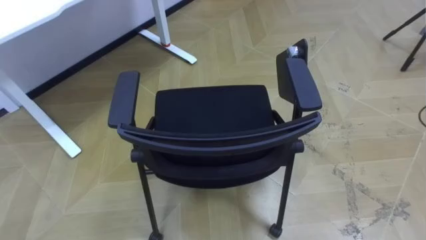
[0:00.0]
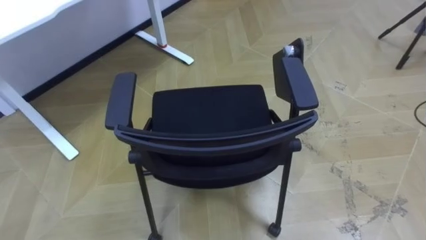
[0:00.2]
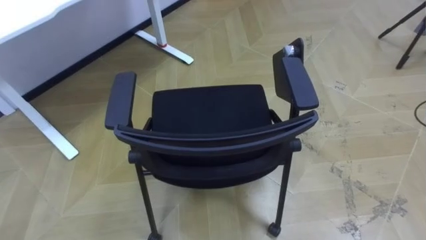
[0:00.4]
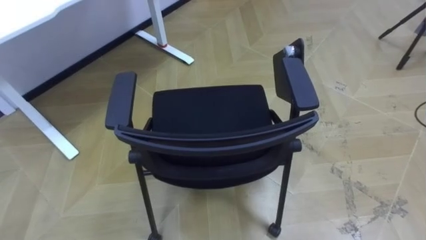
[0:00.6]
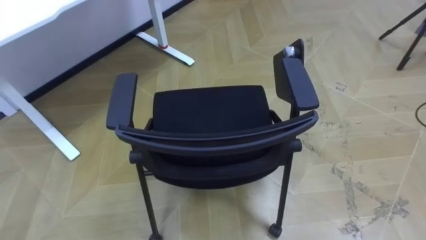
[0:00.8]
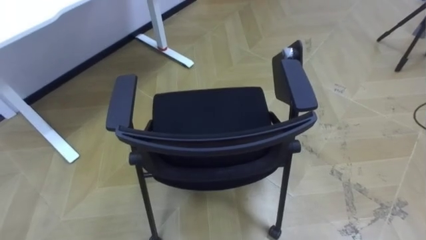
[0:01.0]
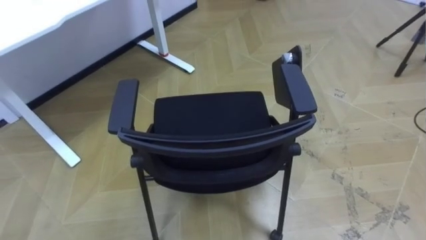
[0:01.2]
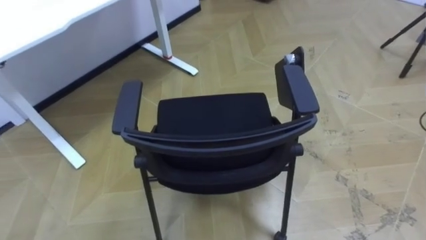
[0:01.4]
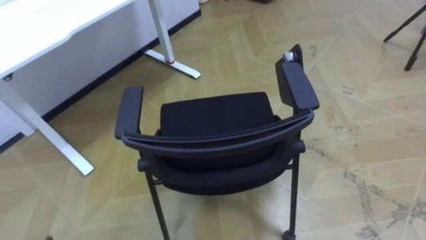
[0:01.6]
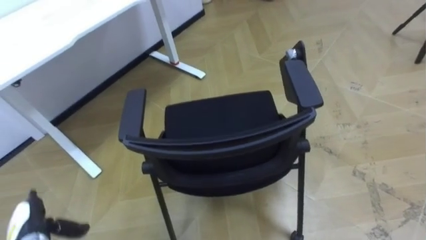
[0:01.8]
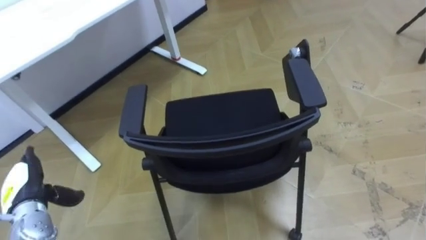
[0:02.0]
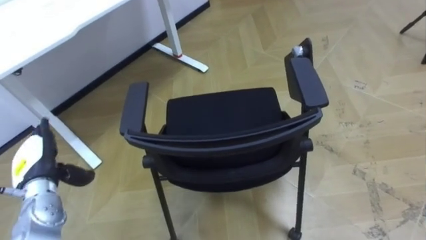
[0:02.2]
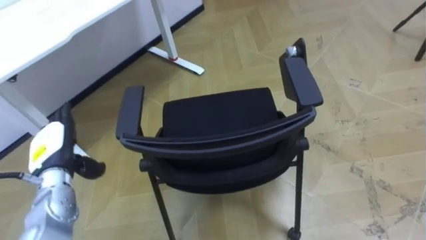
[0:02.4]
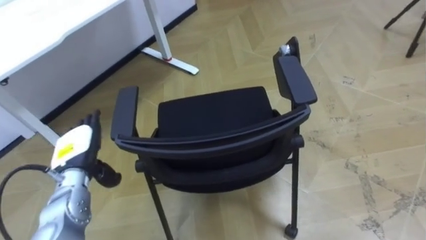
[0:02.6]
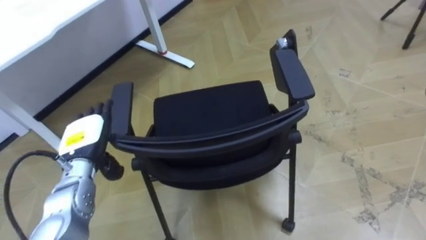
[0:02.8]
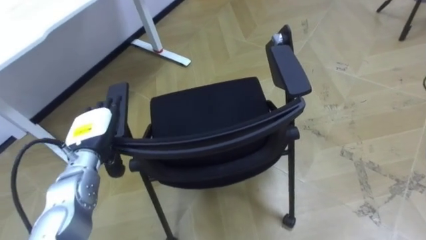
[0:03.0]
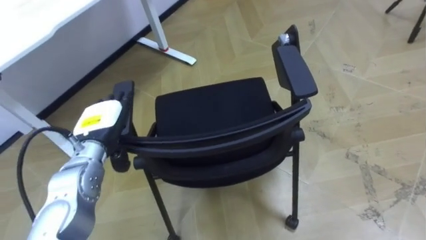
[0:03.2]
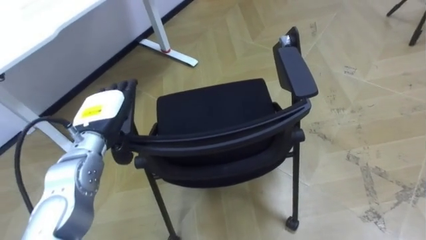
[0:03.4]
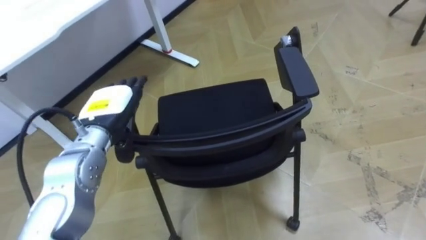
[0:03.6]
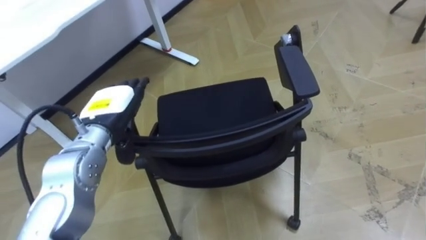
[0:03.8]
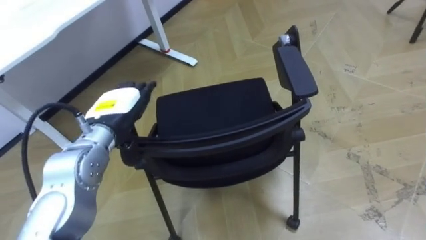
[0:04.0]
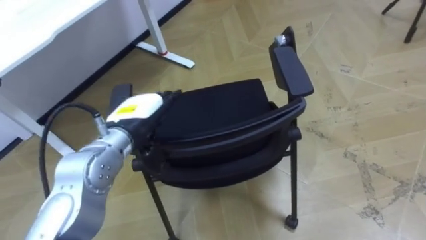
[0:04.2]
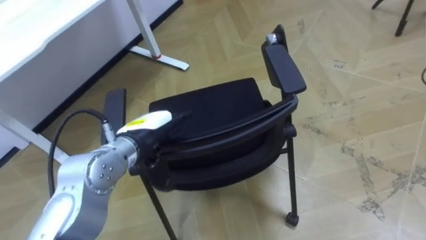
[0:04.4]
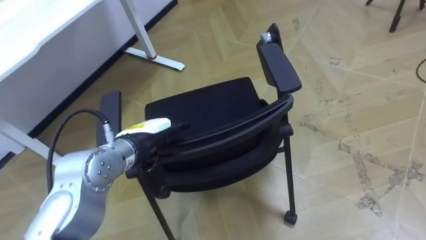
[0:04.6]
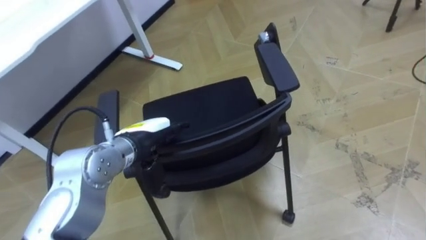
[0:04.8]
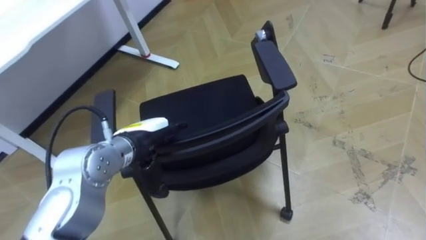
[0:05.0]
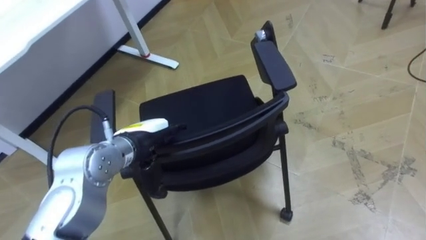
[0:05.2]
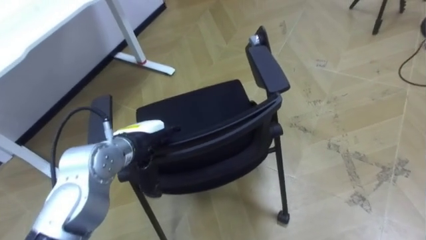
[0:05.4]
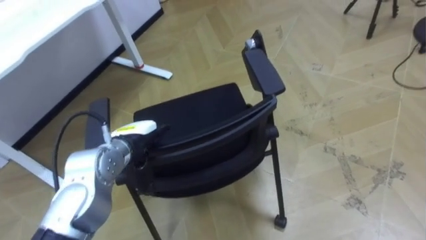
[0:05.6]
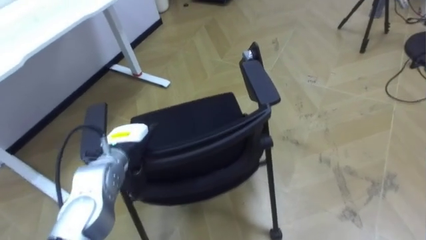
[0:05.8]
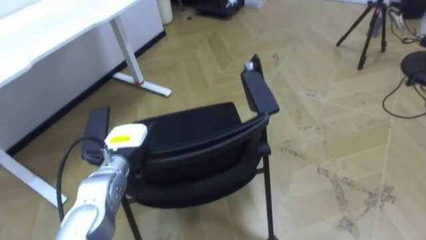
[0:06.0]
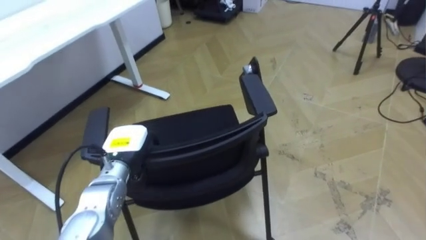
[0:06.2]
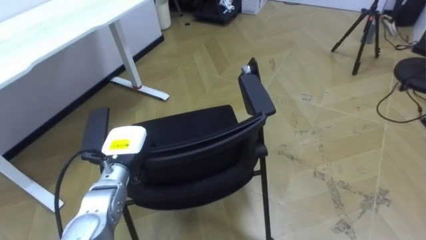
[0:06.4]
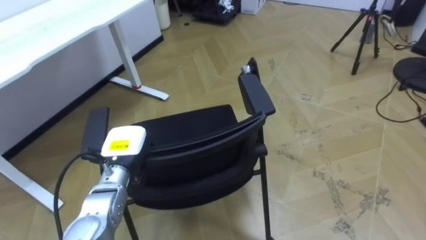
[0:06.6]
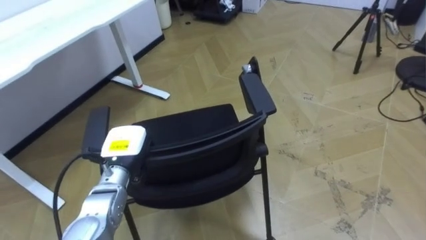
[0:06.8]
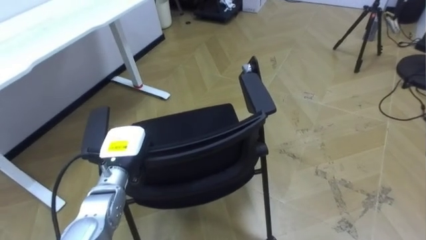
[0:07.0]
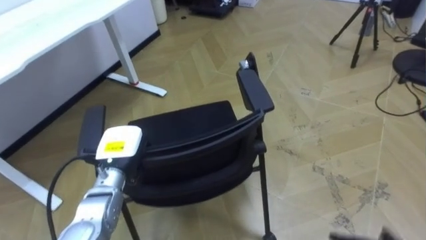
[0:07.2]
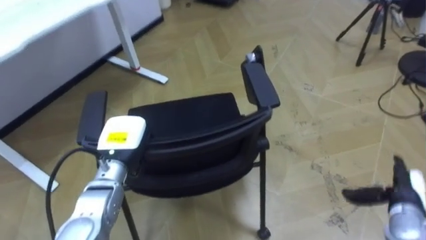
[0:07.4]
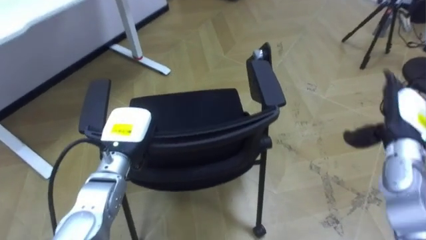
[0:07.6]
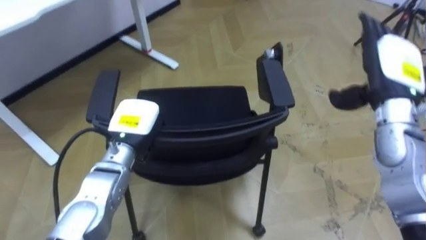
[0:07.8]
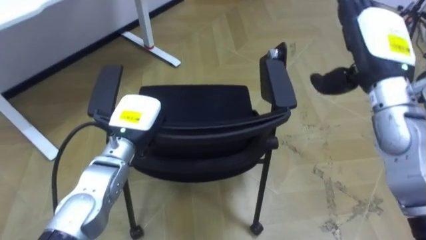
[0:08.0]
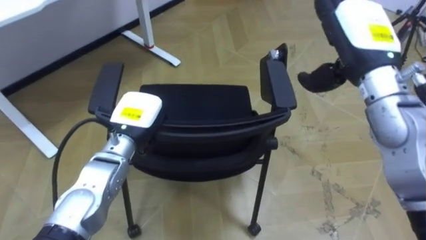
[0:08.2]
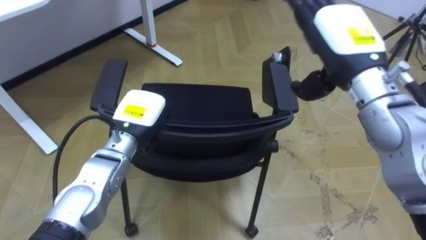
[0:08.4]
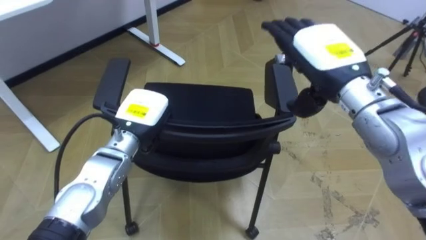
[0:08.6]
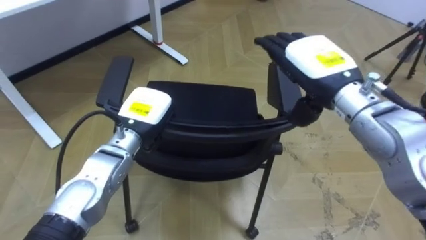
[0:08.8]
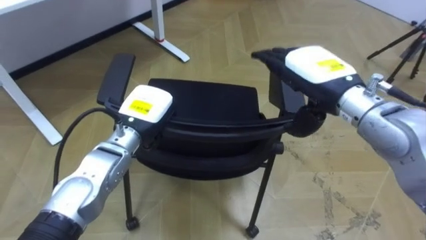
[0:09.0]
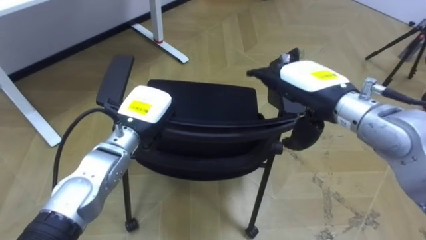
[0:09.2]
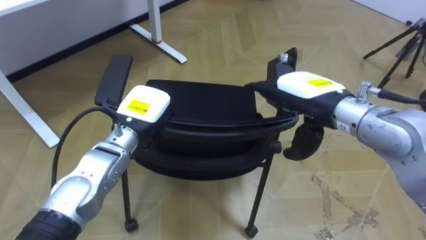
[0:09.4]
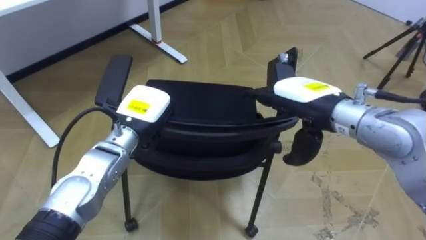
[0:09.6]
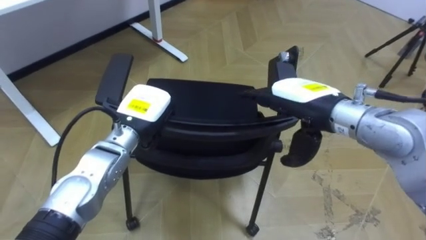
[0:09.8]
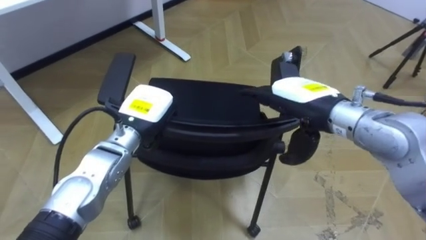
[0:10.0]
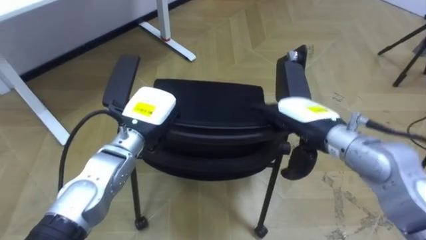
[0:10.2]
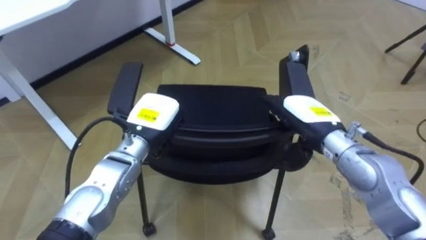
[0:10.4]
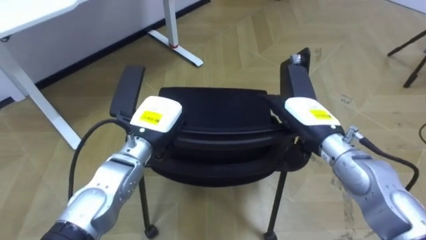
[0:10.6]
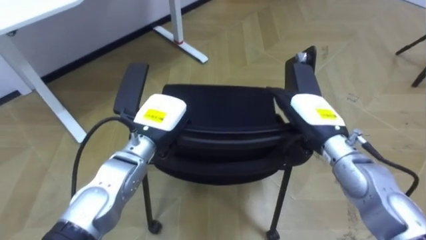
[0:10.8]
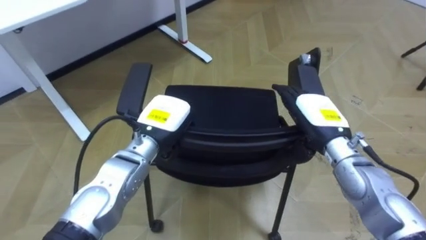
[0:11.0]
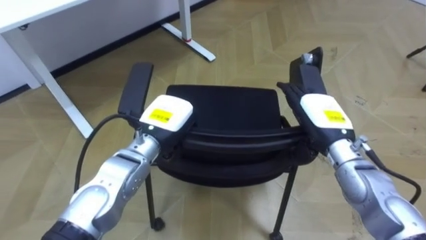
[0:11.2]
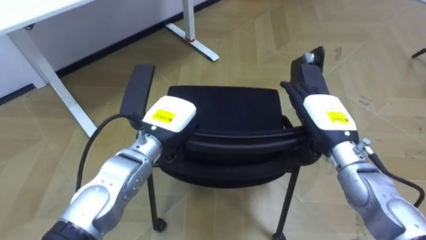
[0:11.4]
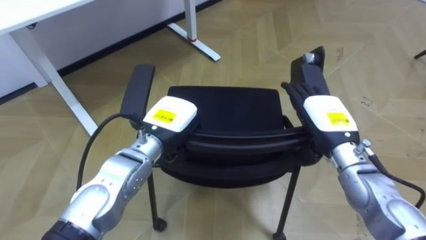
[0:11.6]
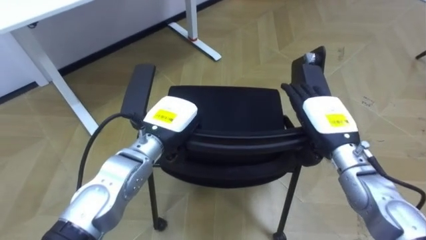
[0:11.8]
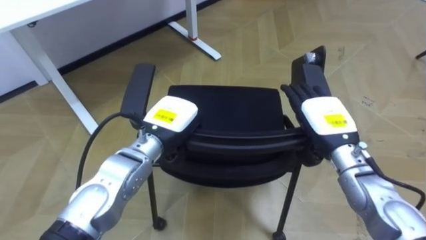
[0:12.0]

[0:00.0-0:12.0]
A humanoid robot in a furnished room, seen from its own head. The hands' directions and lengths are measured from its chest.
Task of the whole recording: Push the chair under the table.
0:03.0 to 0:04.4: The left hand moves to the right, approximately 10 cm.
0:04.4 to 0:06.0: The left hand is displaced downward and to the left by some 10 cm.
0:06.0 to 0:07.6: The left hand closes.
0:07.6 to 0:09.0: The left hand moves about 5 cm; the right hand moves to the left and upward, some 20 cm.
0:09.0 to 0:10.4: The right hand heads downward, covering approximately 10 cm.

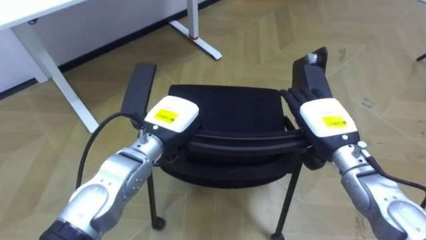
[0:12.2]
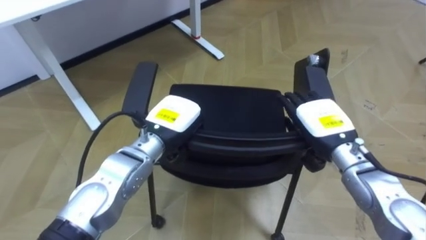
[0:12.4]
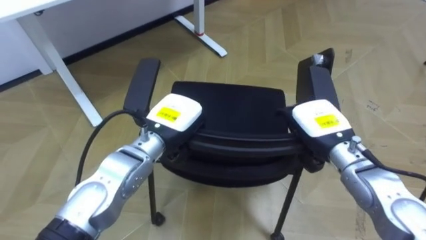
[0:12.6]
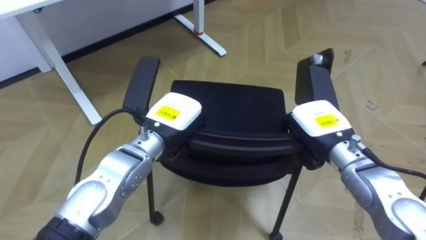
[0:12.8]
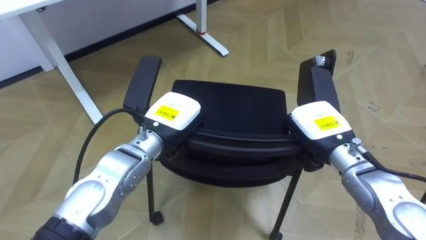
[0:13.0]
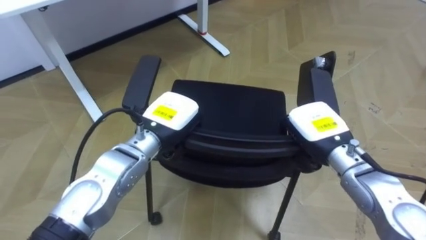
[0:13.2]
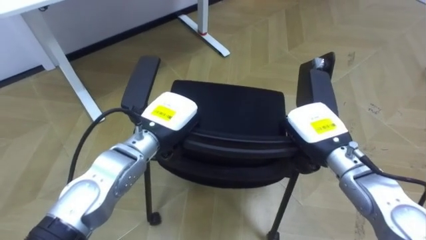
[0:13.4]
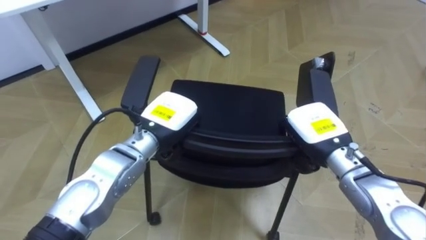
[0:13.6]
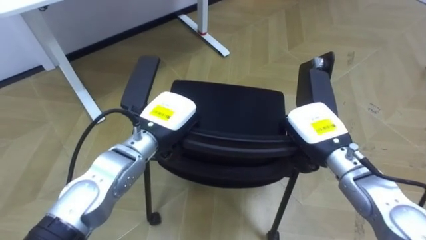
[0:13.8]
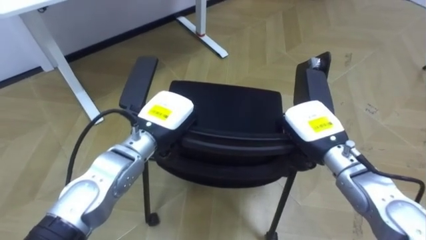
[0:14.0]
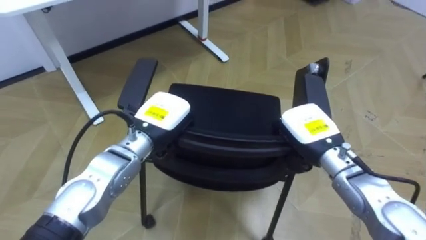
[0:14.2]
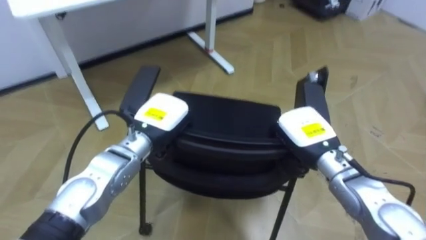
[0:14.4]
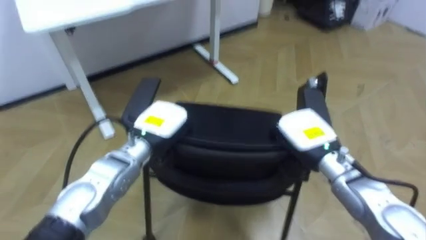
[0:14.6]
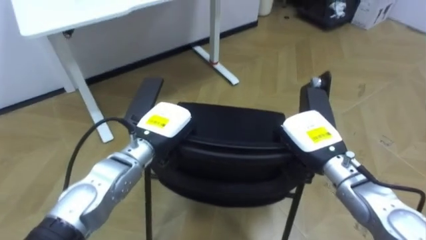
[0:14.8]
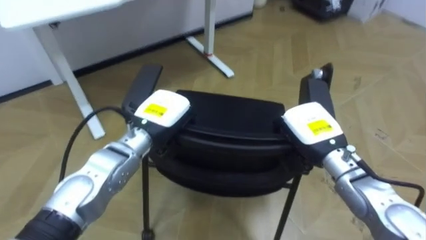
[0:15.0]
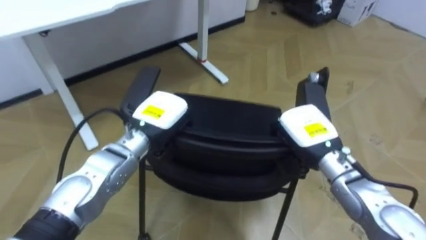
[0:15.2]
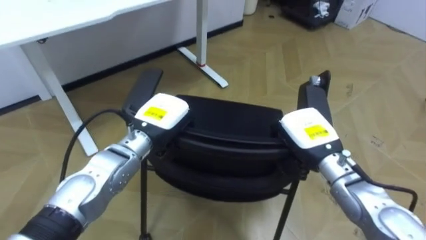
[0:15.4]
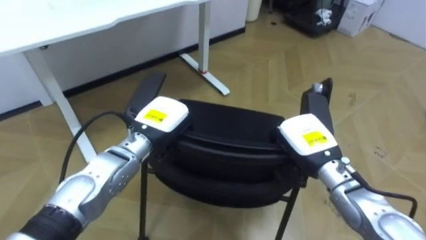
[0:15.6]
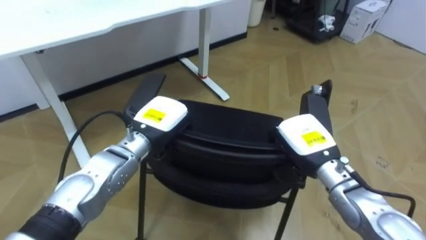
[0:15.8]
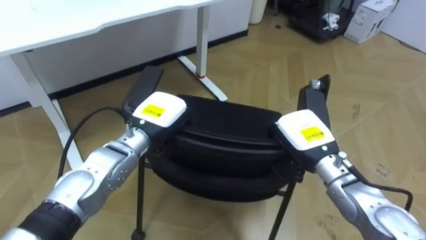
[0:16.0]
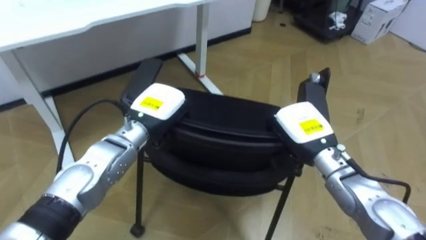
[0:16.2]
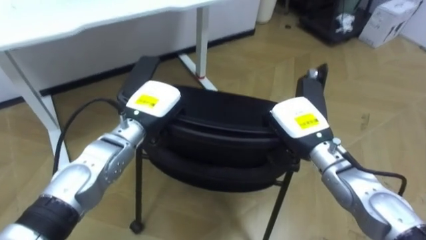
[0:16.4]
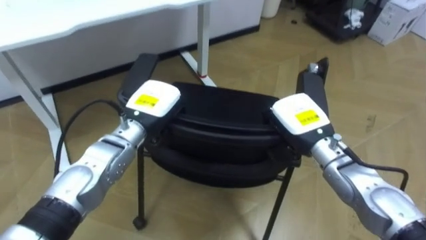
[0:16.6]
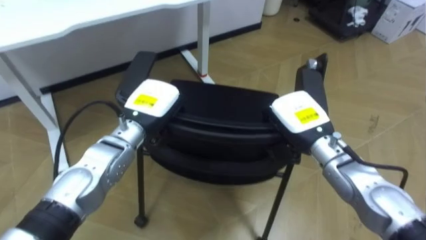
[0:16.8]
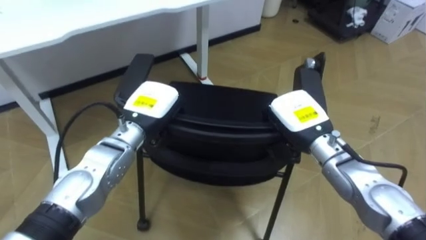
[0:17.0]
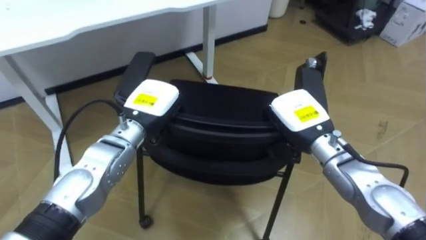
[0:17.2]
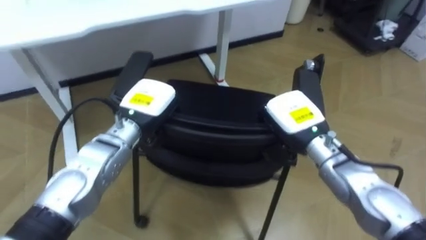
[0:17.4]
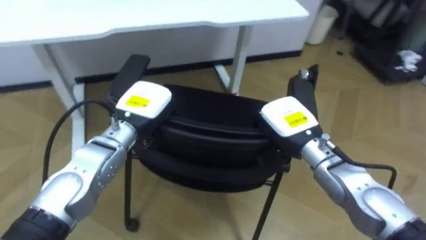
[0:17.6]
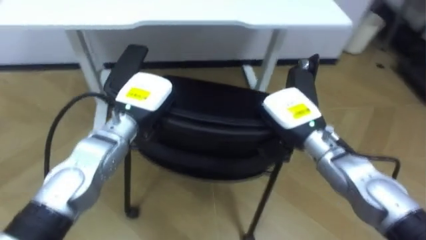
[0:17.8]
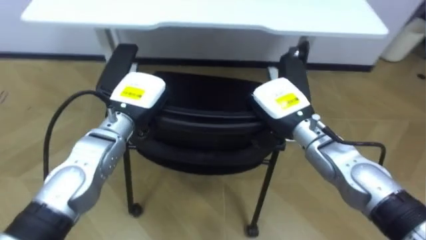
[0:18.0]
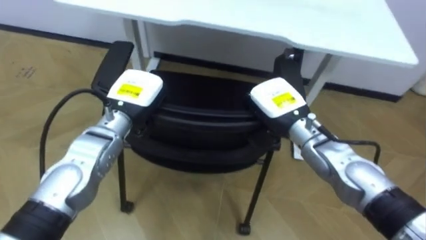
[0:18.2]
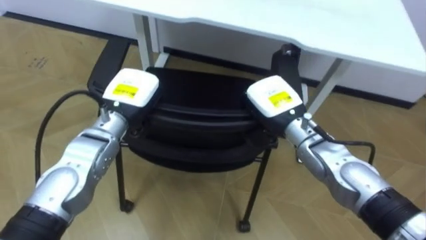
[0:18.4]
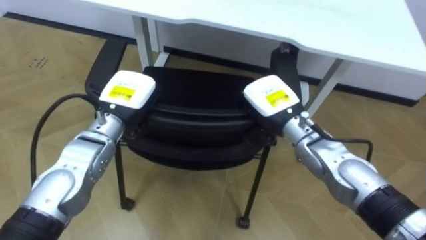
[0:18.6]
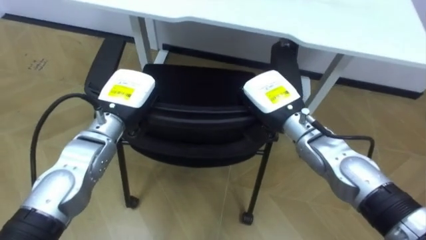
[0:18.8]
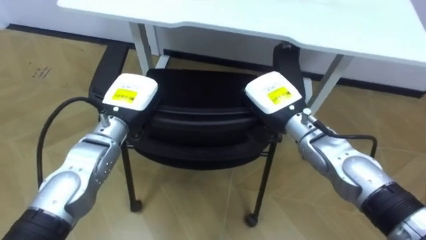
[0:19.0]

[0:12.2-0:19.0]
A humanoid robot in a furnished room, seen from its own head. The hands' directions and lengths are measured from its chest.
Task of the whole recording: Push the chair under the table.
0:12.2 to 0:13.6: The right hand closes.
0:17.6 to 0:19.0: The robot rotates about 20 degrees to its left. The right hand shifts by approximately 5 cm.
